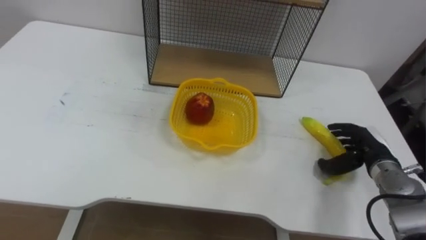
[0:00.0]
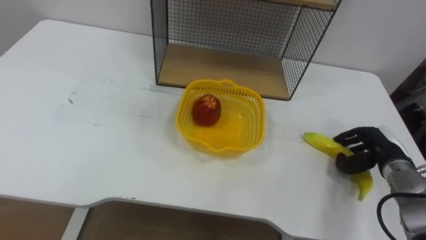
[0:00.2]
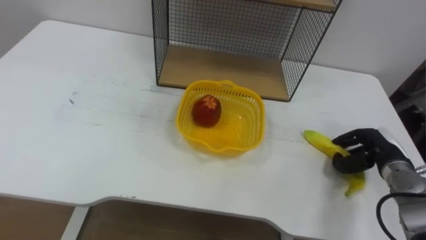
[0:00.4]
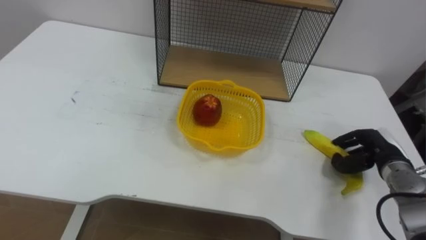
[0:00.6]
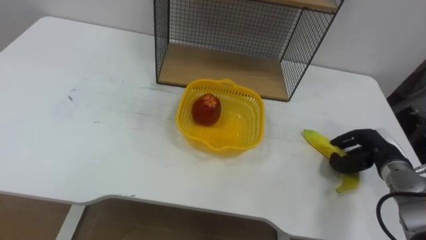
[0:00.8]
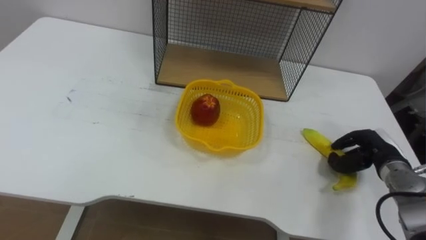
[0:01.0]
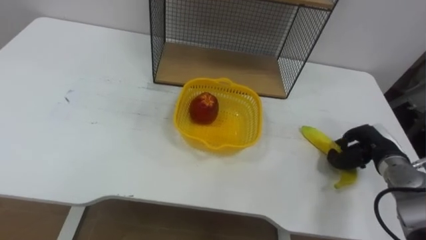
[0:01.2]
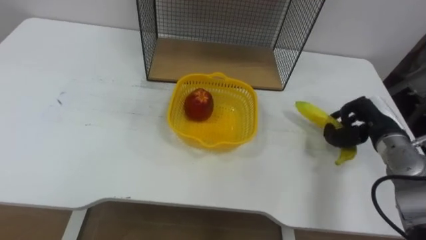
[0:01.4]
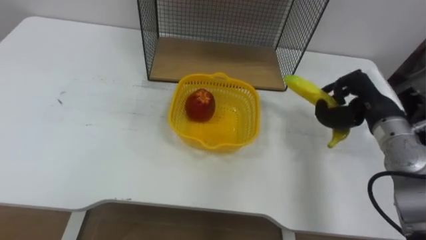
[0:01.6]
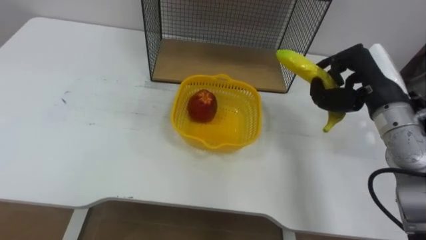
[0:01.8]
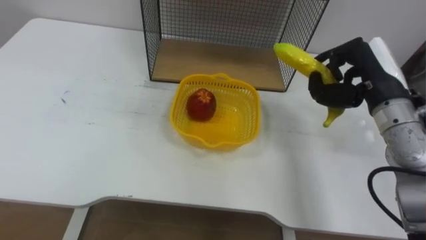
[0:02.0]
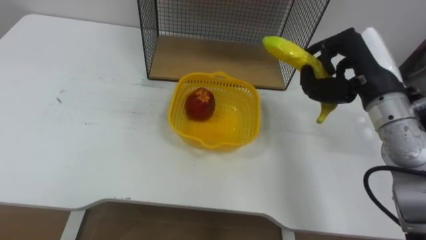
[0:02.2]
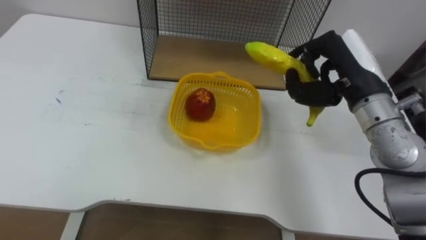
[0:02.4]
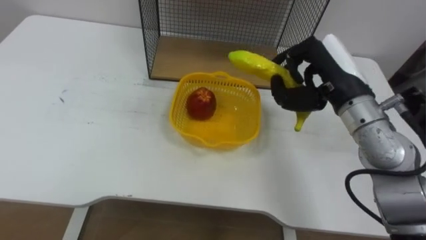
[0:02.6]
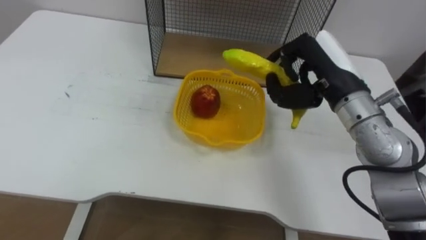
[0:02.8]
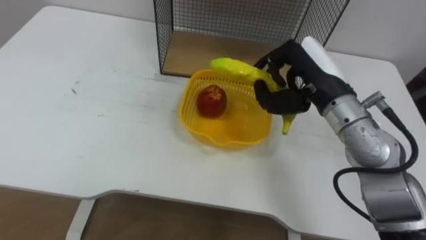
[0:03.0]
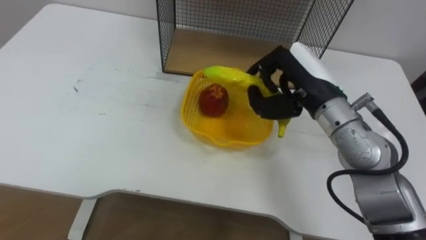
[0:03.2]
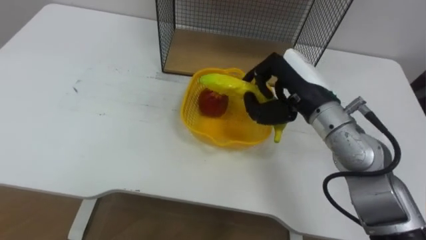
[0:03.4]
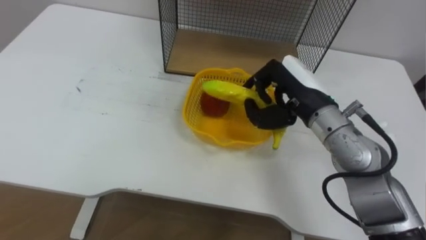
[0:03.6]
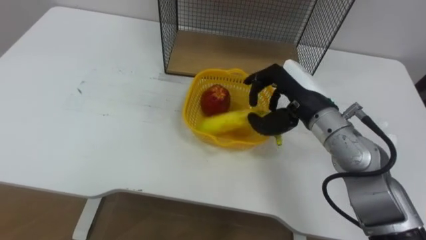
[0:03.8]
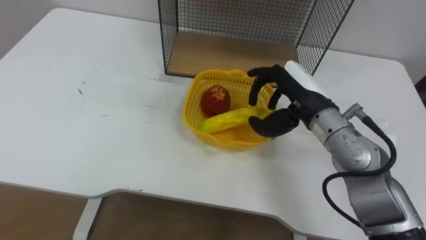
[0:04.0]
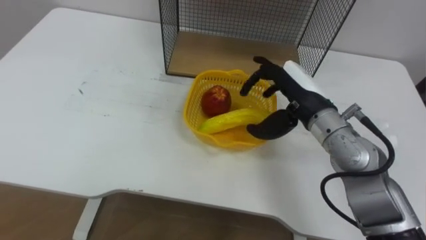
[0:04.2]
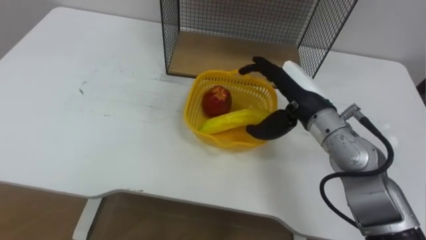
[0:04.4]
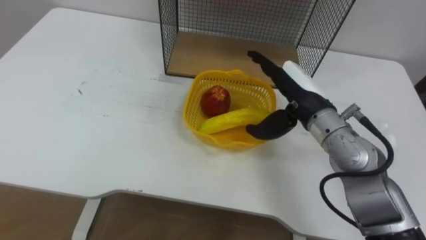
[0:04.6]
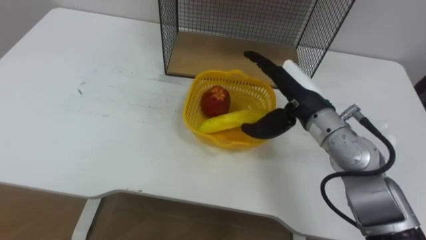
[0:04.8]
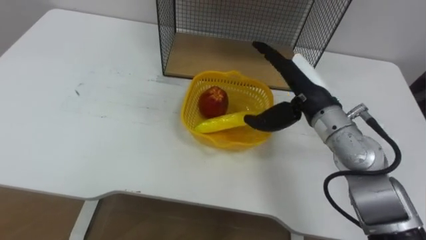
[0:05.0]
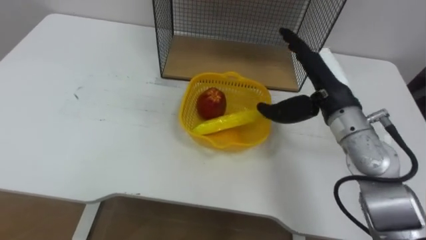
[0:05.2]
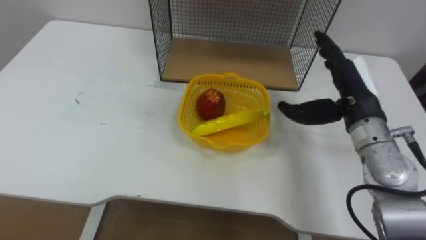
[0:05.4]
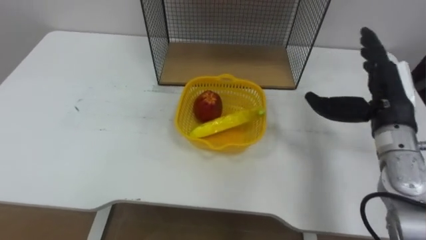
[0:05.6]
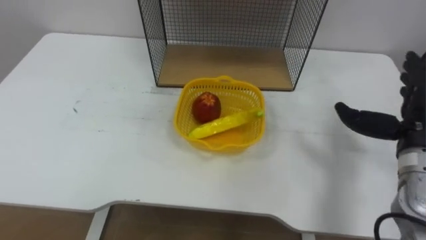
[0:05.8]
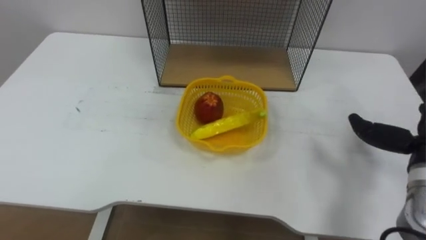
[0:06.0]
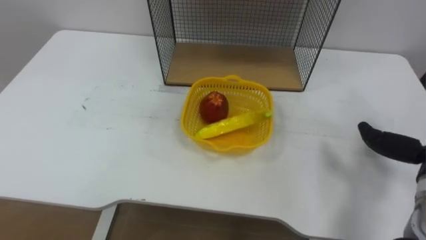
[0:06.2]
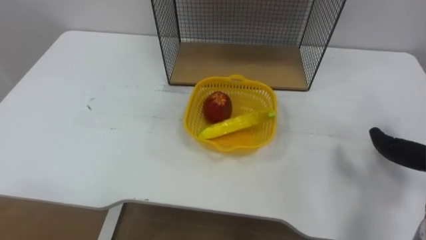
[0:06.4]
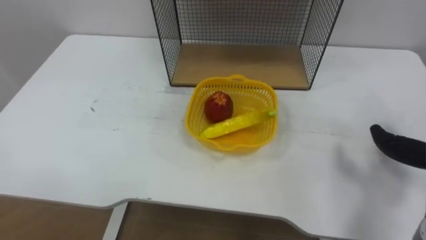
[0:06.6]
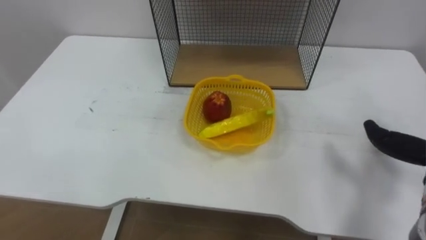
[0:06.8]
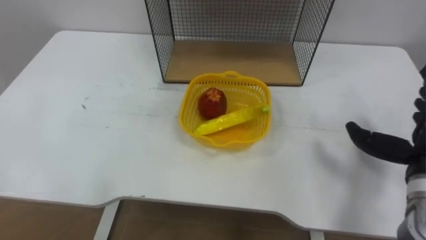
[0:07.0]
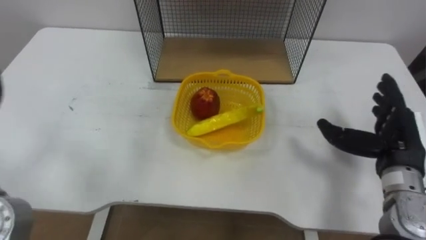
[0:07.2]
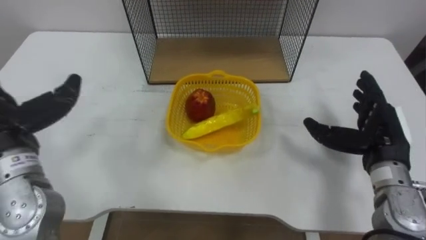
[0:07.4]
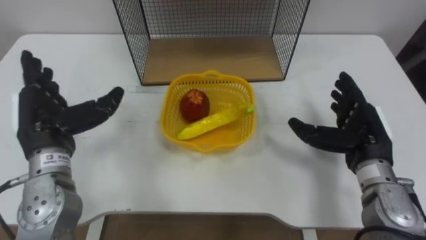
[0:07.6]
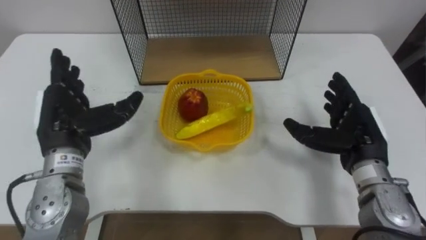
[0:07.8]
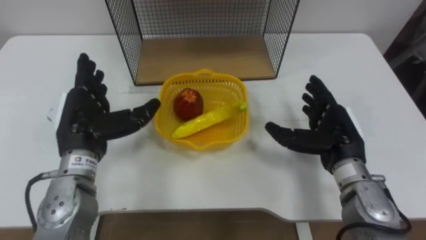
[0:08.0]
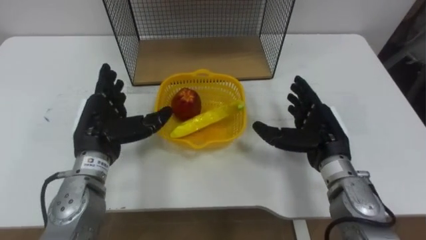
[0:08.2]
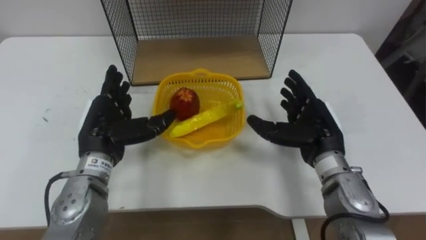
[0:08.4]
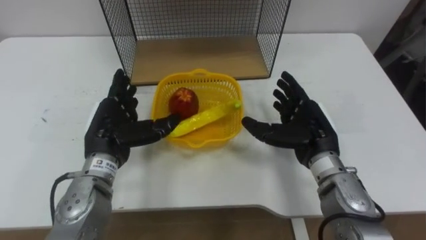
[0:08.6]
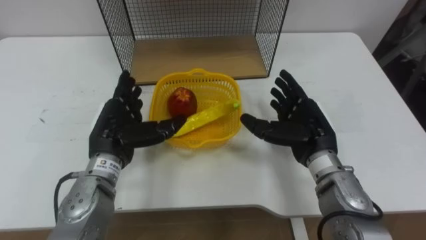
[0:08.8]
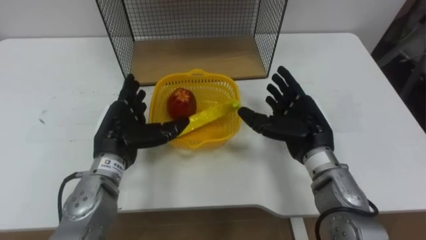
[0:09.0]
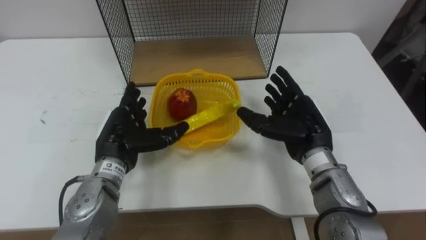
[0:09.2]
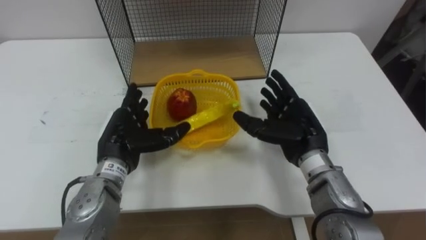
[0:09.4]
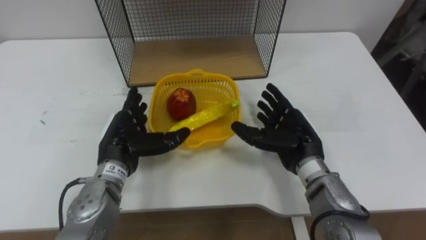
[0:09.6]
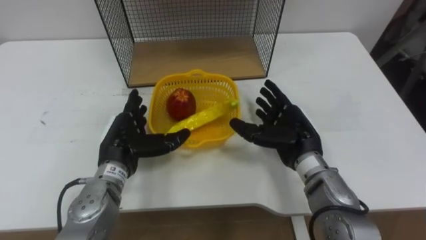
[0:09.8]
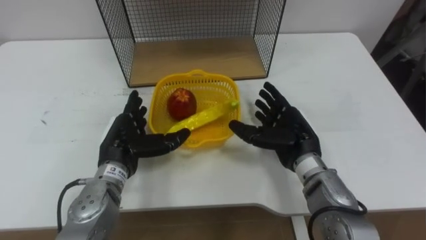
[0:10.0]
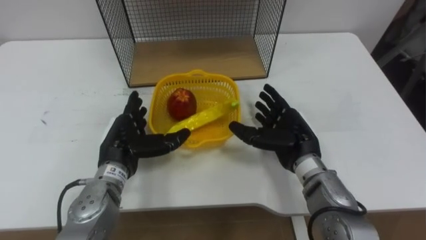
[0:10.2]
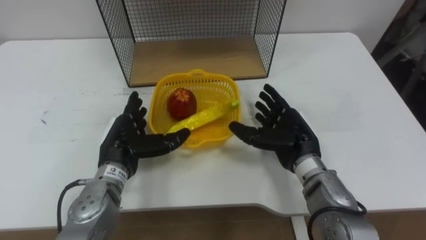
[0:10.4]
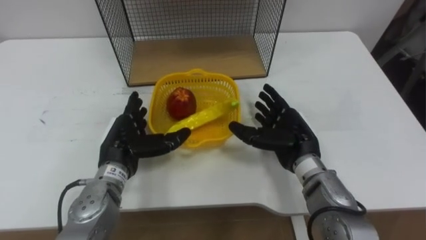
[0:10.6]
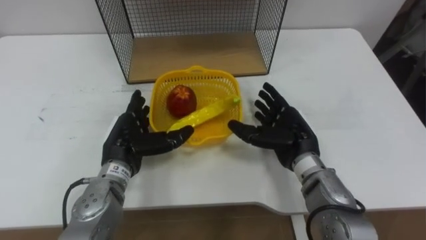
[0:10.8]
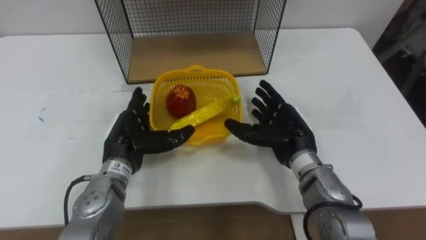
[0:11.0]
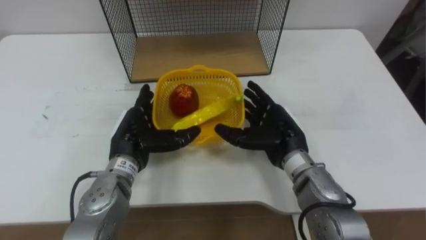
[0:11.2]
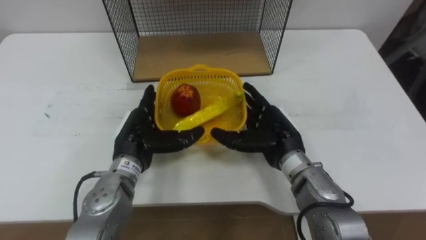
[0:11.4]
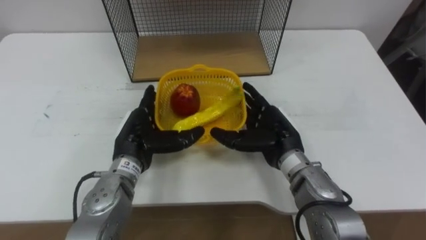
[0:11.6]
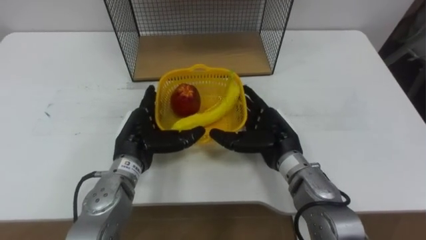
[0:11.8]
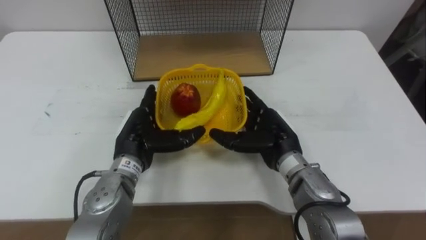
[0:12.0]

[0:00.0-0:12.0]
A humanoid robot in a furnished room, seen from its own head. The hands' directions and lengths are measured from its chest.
Task of the whole recording: Put the fruit on the table into the basket, then place the basket on the shelf.
0:00.0 to 0:01.6: The right hand is displaced upward by roughly 10 cm, and closes its fingers.
0:01.6 to 0:03.0: The right hand heads to the left and upward, covering roughly 15 cm.
0:03.0 to 0:04.4: The right hand opens its fingers.
0:07.6 to 0:09.0: The right hand goes about 10 cm to the left; the left hand travels to the right and downward by some 10 cm.
0:09.0 to 0:10.4: The hands make only small movements.

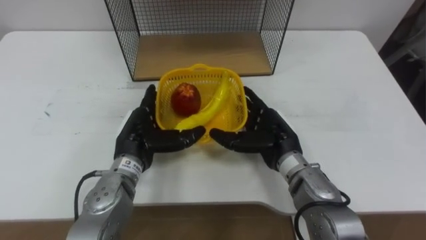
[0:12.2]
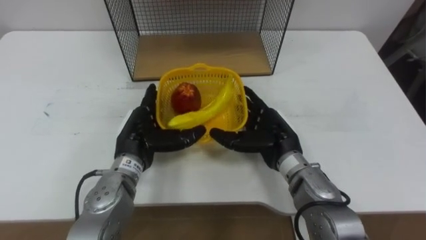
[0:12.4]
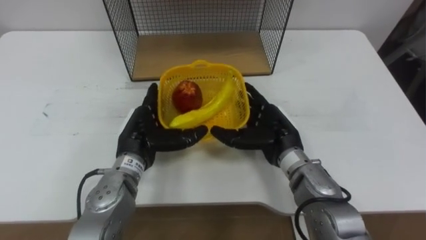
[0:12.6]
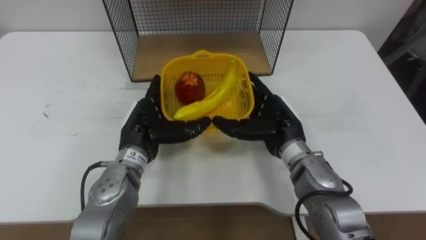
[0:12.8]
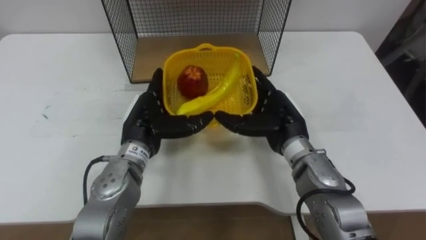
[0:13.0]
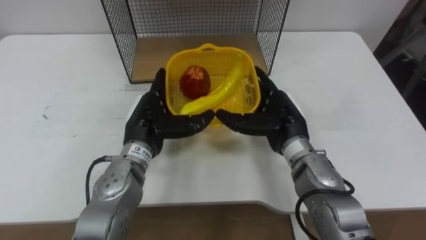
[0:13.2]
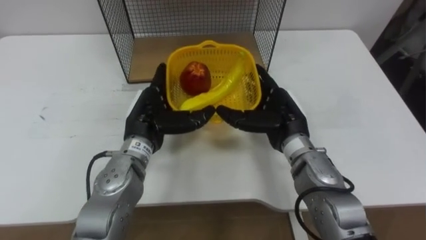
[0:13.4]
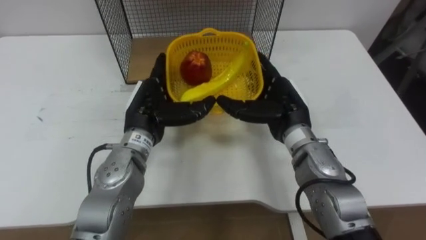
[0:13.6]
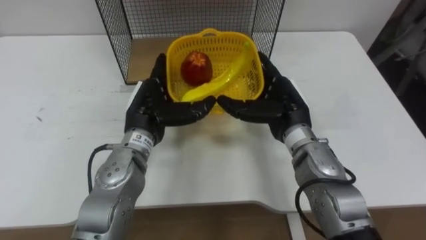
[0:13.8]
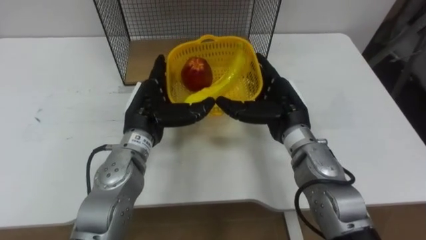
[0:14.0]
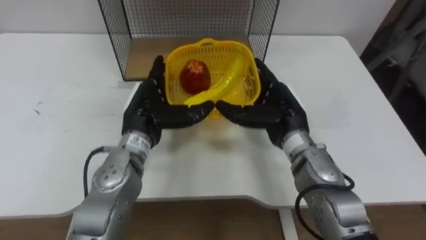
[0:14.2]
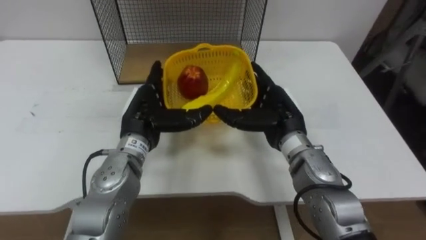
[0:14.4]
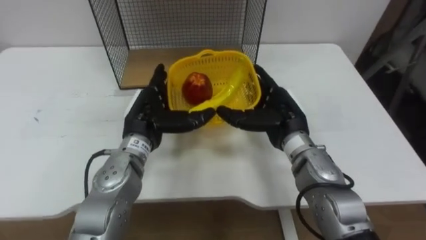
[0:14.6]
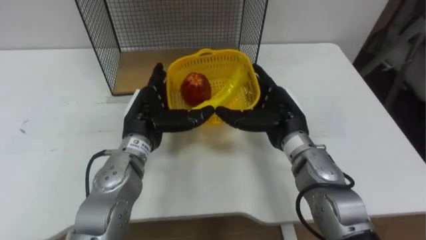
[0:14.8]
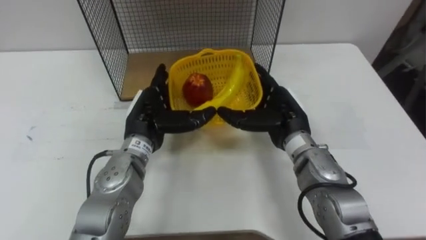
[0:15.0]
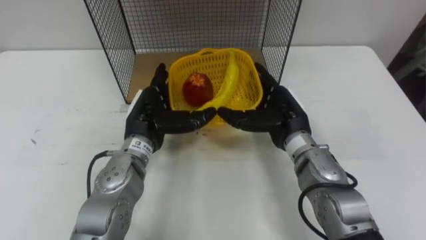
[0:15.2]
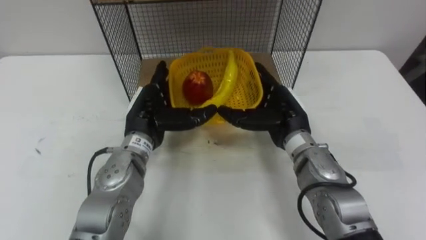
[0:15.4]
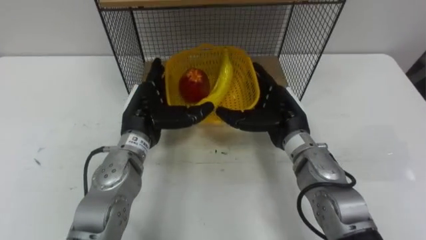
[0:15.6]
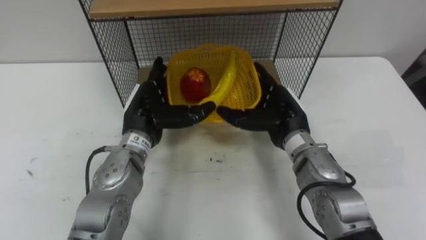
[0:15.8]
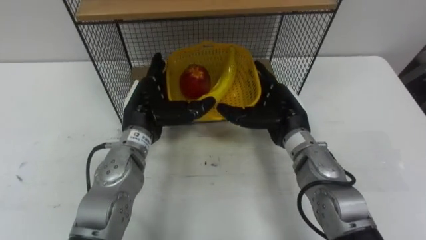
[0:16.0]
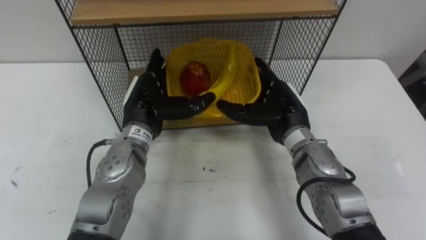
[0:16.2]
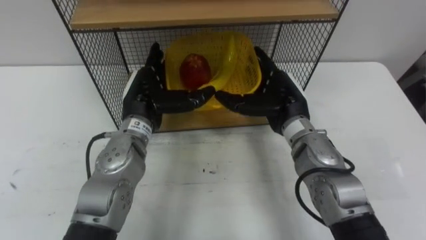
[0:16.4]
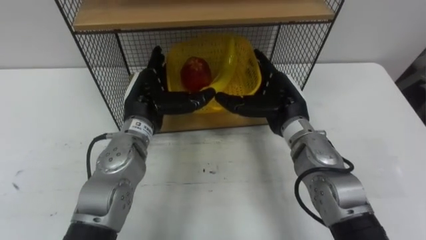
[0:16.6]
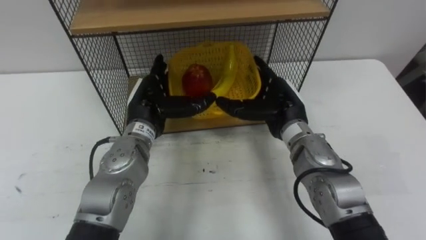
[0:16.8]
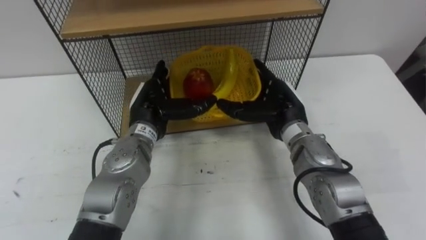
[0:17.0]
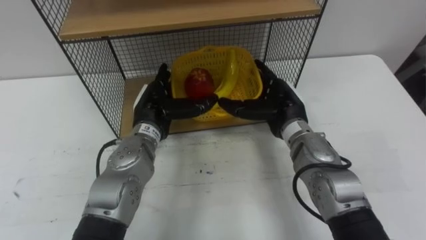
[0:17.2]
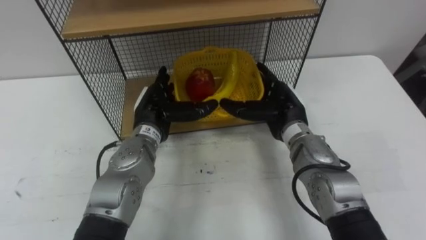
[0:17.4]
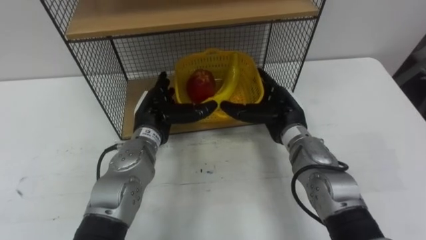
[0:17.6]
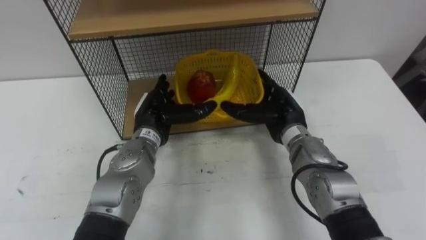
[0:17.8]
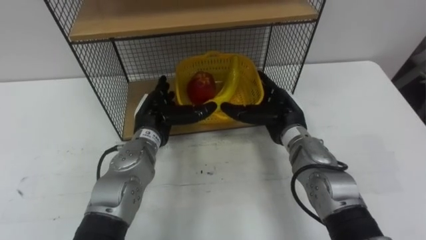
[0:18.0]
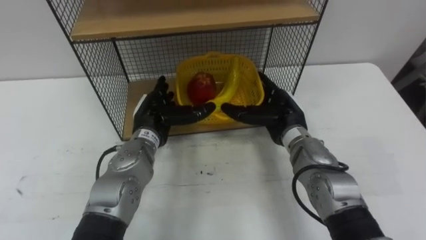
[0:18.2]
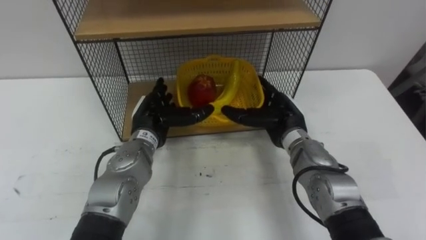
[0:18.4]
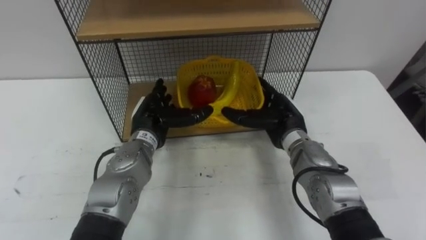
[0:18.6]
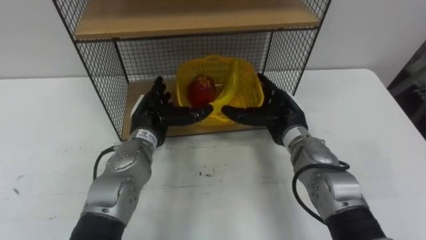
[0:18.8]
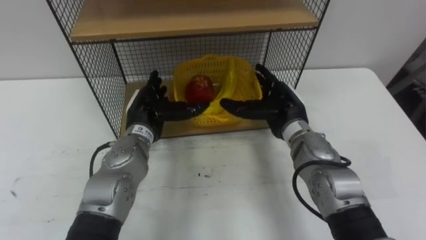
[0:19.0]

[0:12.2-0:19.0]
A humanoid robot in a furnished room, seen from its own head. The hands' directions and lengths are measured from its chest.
Task of the whole recording: Put the fruit on the table into the basket, then place the basket on the shelf.
0:12.2 to 0:13.6: The right hand changes place by some 5 cm; the left hand moves approximately 5 cm.
